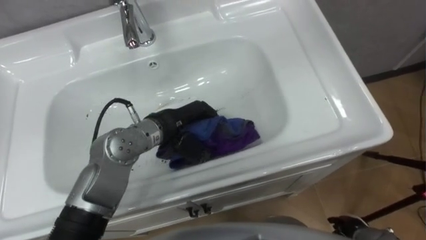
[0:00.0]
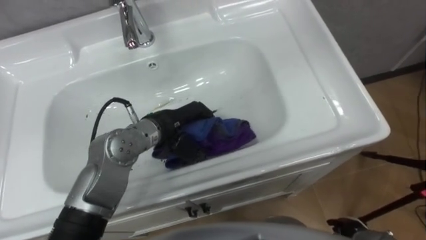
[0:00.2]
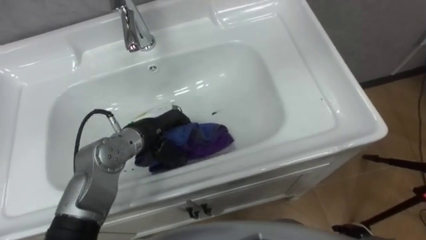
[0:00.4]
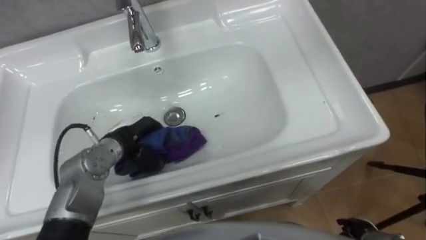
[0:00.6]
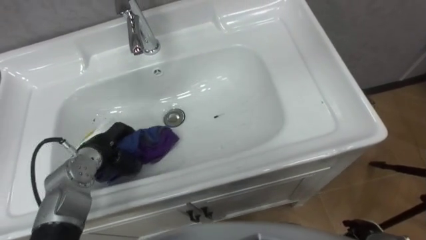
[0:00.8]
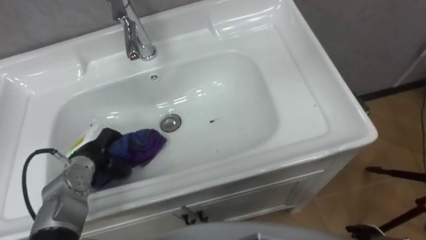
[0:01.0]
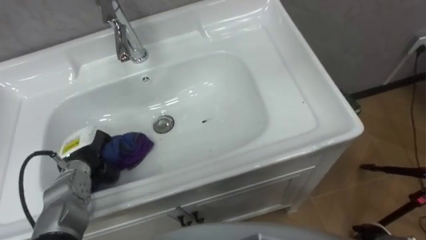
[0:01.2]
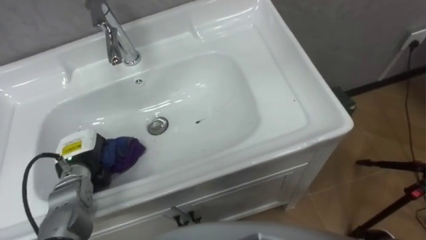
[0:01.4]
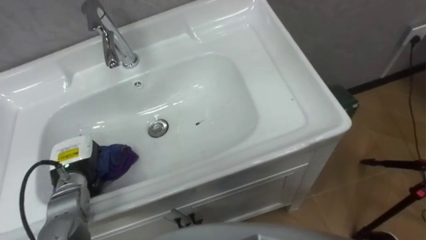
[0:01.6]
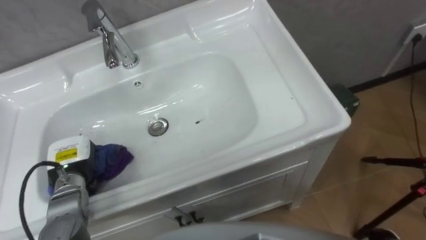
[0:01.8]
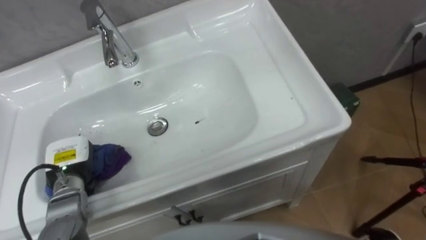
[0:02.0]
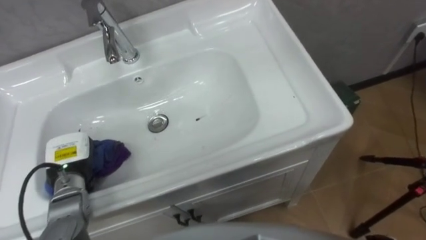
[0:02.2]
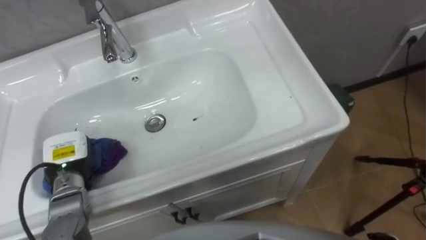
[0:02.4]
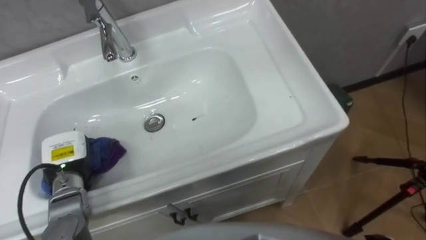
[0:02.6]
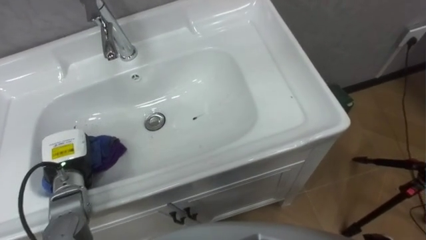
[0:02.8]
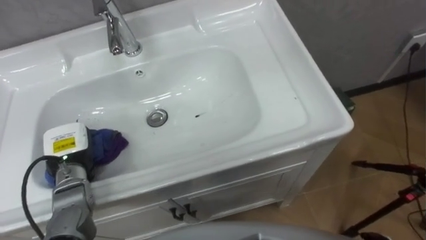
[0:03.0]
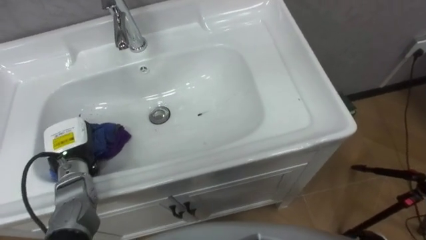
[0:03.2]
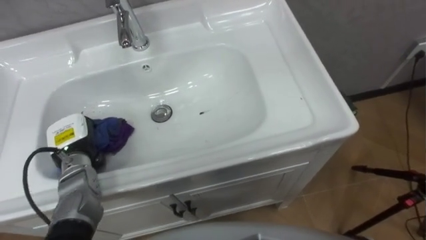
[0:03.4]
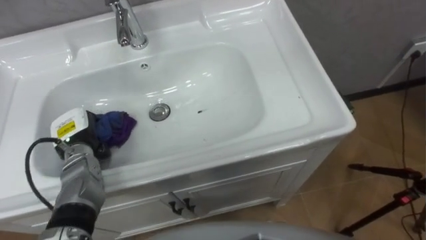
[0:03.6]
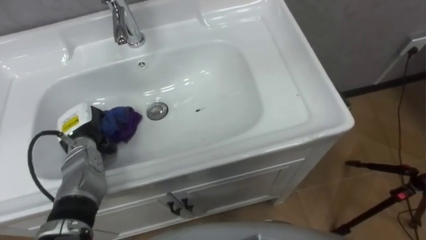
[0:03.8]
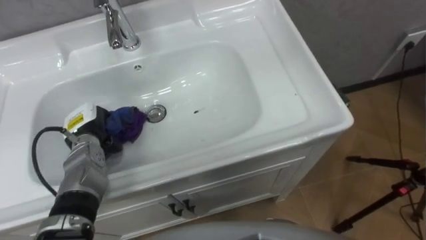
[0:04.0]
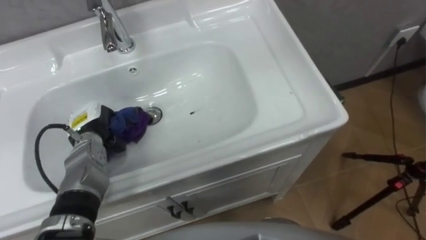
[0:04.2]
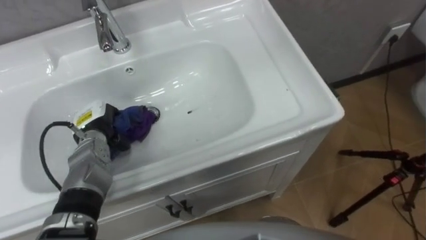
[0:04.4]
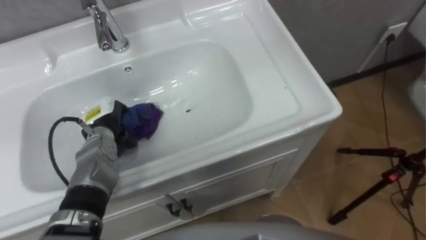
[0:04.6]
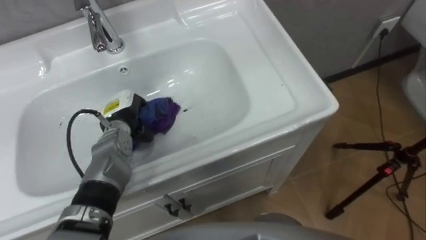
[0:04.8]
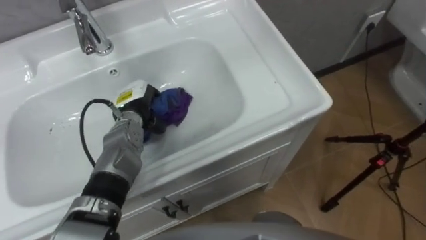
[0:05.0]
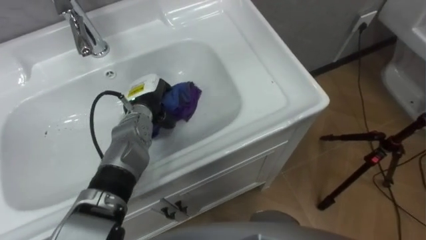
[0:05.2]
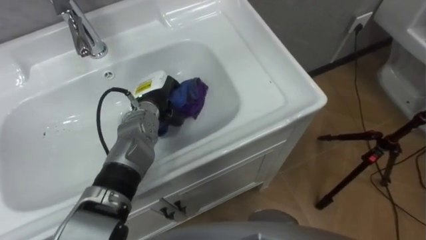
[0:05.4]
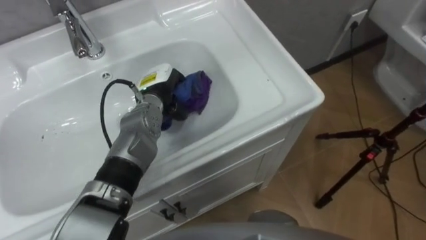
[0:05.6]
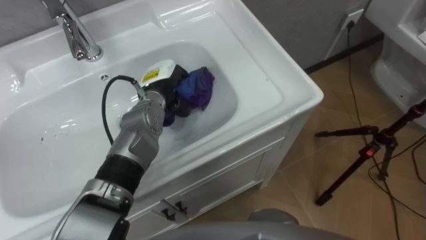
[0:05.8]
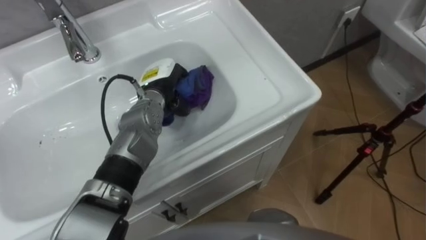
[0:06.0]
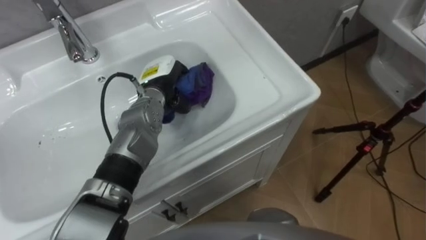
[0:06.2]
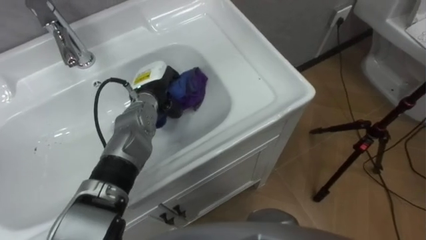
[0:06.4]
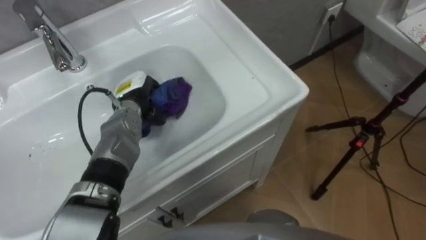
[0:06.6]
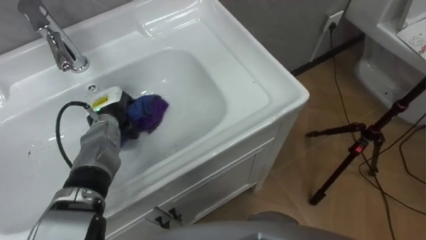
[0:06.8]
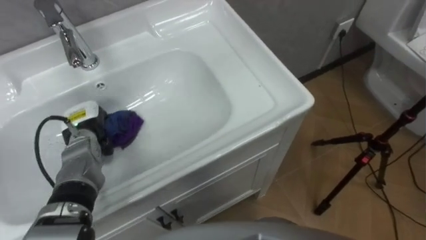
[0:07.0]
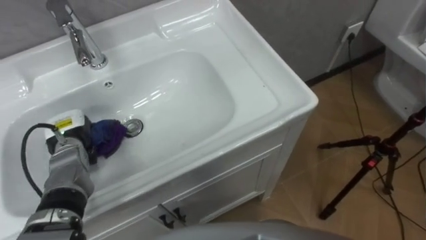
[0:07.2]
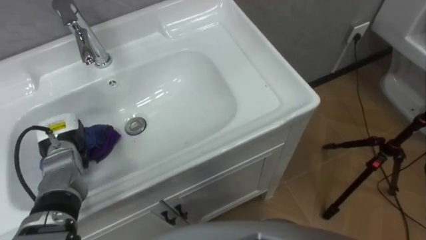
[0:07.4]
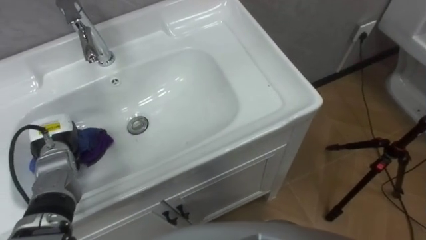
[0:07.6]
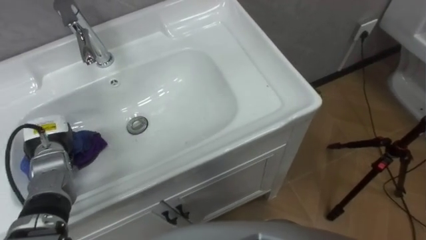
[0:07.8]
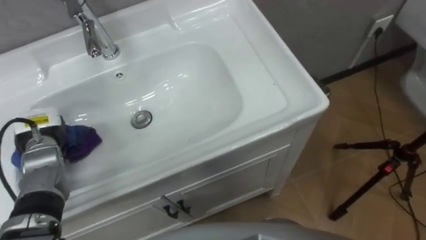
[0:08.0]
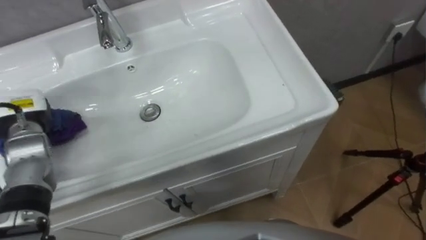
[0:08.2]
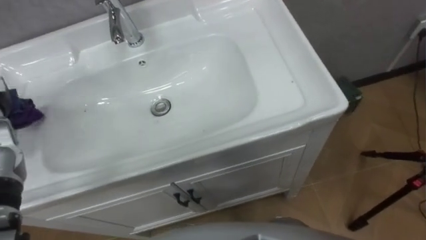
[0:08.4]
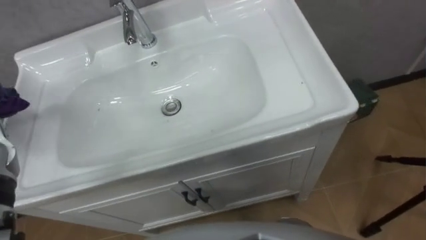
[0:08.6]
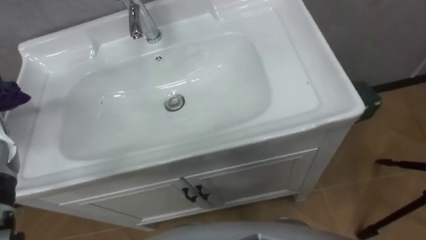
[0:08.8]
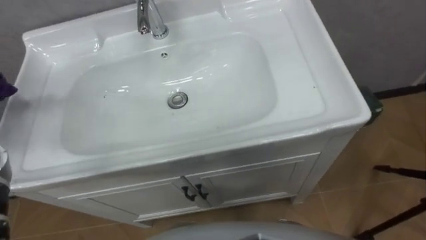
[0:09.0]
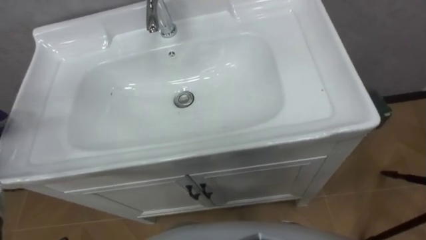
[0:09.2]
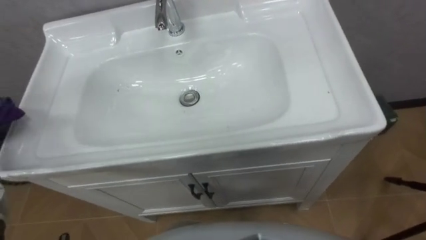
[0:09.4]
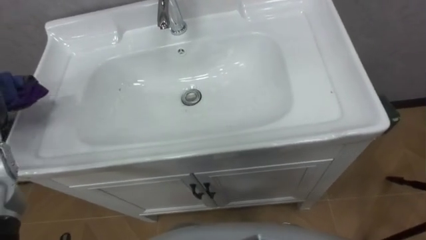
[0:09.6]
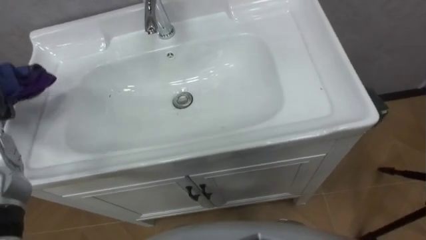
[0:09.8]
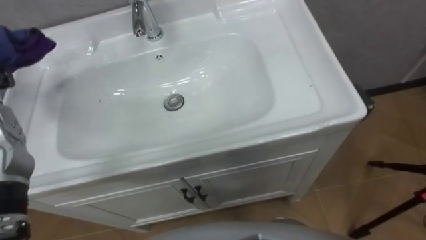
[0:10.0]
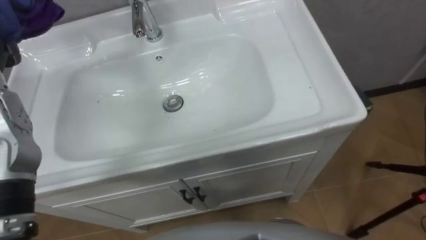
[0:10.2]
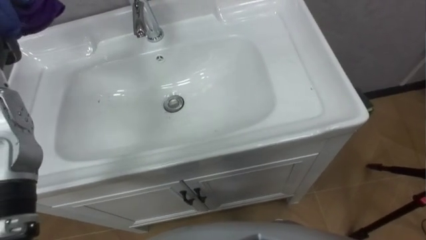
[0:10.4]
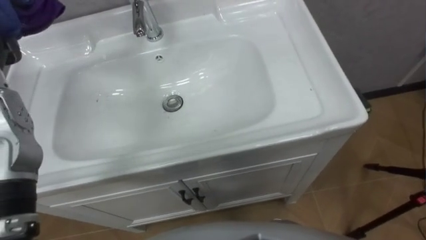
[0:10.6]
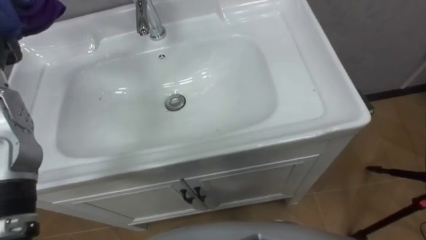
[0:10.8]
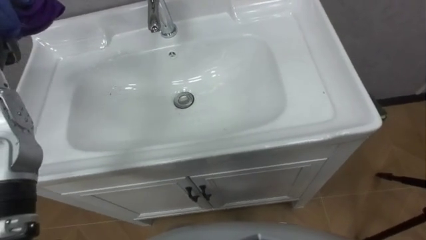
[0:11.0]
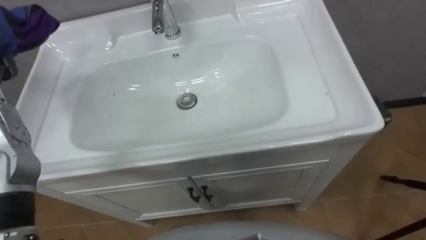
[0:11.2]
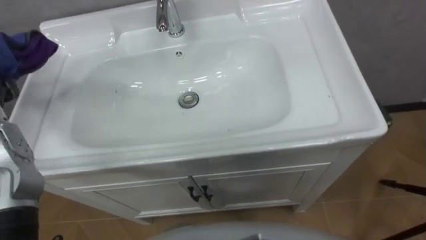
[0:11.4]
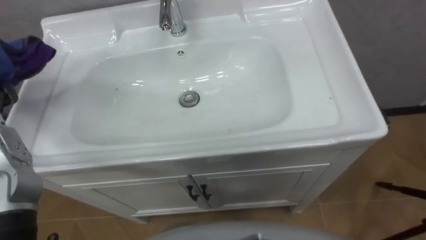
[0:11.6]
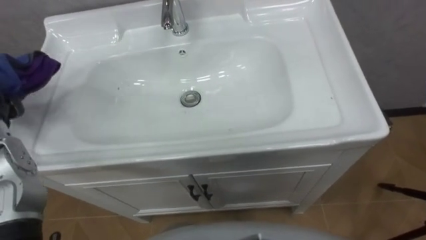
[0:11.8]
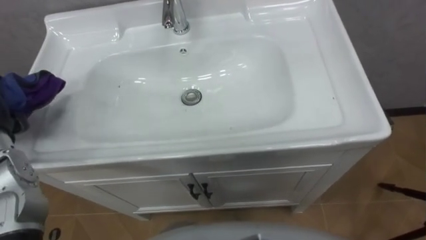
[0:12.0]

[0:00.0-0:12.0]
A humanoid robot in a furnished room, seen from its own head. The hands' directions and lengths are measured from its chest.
Task of the whole recording: Use the cloth on the right to wipe away the black stain in the sink.
0:00.0 to 0:01.6: The left hand shifts some 25 cm to the left and downward.
0:03.0 to 0:04.4: The left hand is displaced forward by about 5 cm.
0:04.4 to 0:06.0: The left hand heads to the right and forward, covering about 15 cm.
0:06.0 to 0:07.6: The left hand heads to the left and backward, covering approximately 25 cm.

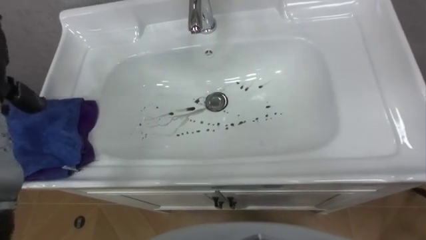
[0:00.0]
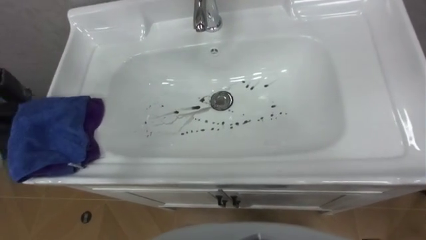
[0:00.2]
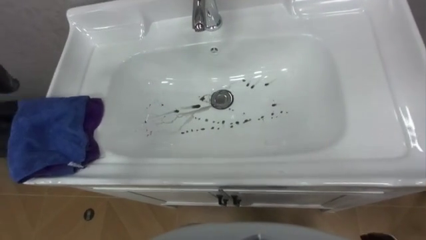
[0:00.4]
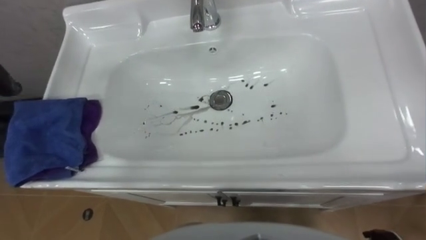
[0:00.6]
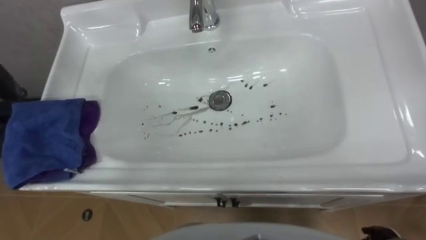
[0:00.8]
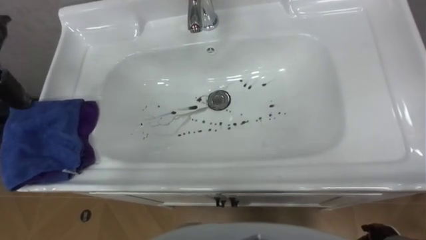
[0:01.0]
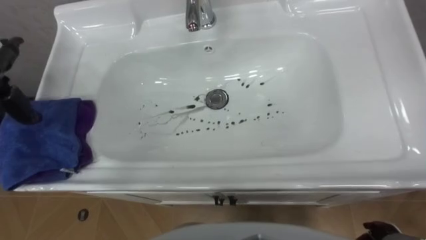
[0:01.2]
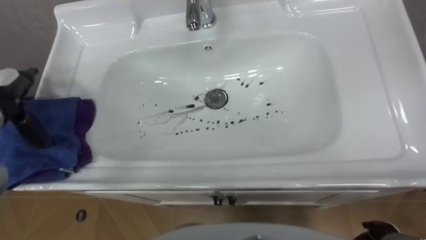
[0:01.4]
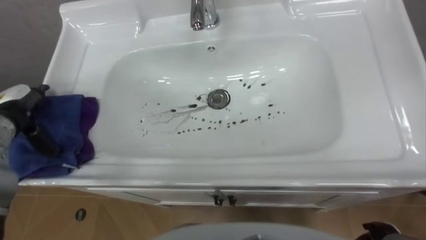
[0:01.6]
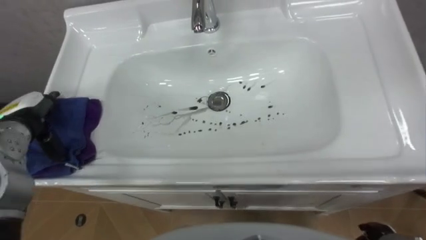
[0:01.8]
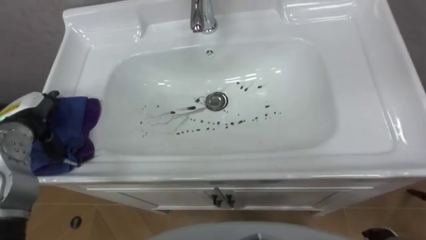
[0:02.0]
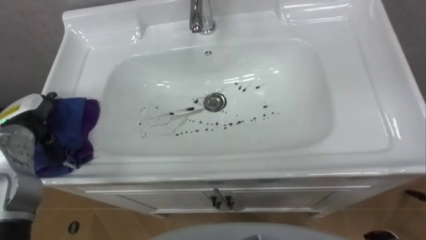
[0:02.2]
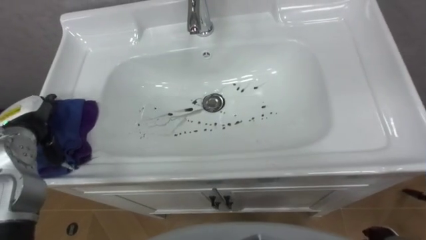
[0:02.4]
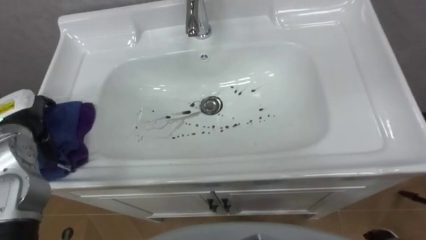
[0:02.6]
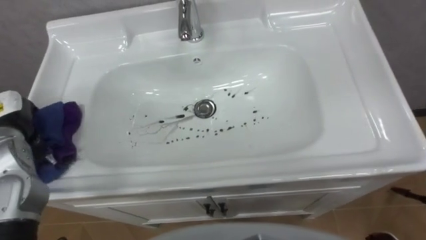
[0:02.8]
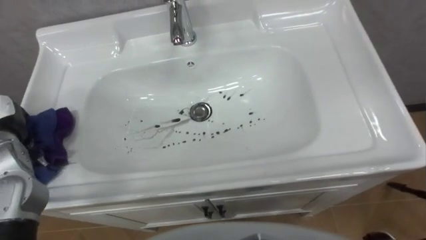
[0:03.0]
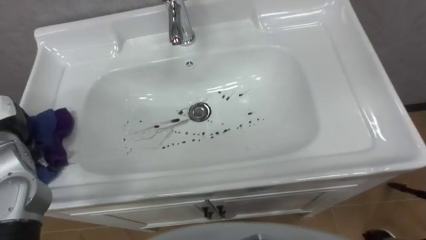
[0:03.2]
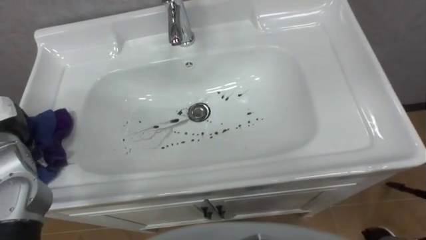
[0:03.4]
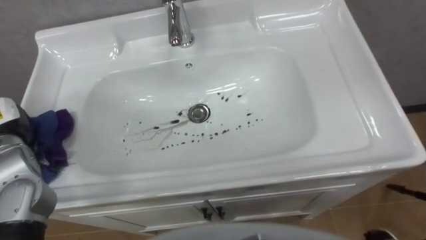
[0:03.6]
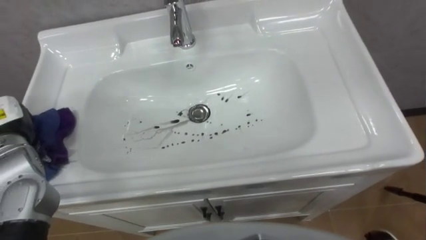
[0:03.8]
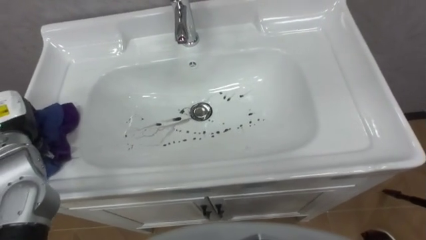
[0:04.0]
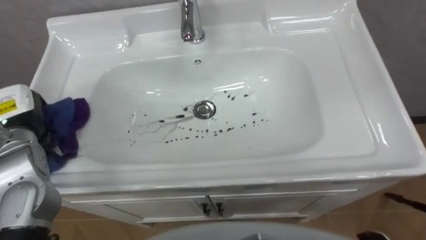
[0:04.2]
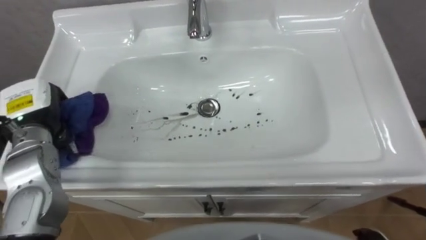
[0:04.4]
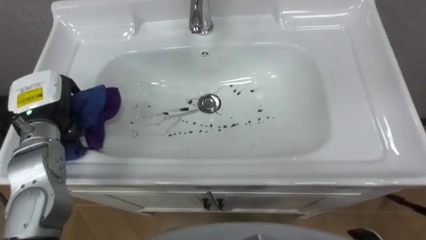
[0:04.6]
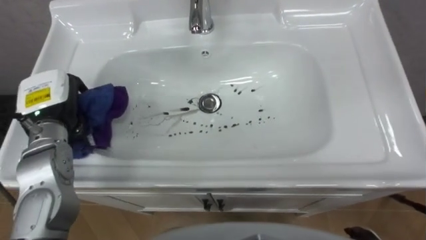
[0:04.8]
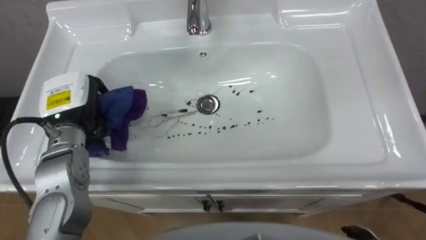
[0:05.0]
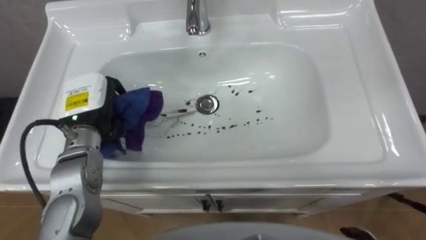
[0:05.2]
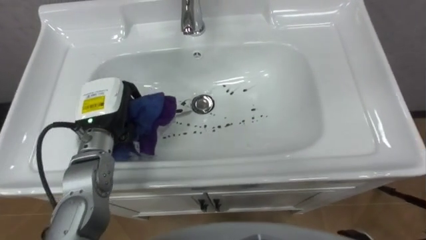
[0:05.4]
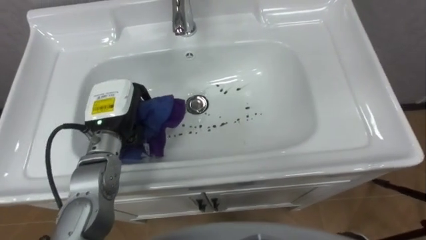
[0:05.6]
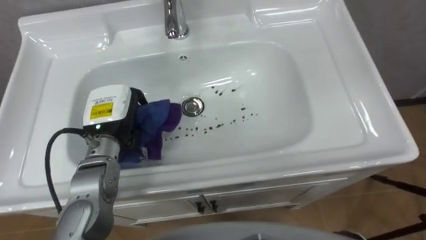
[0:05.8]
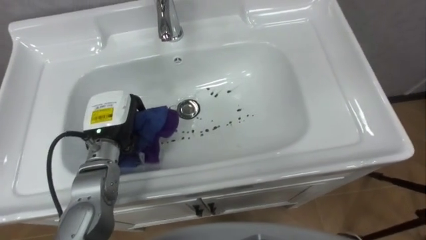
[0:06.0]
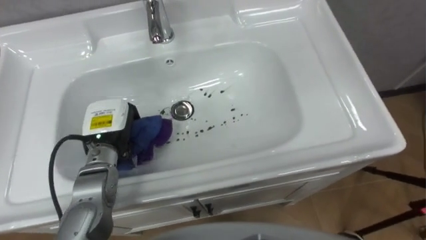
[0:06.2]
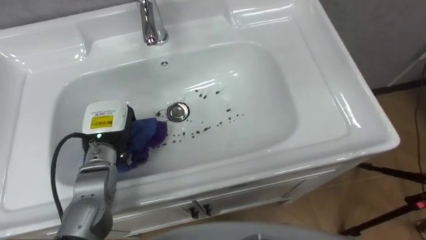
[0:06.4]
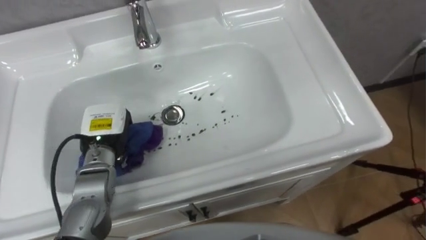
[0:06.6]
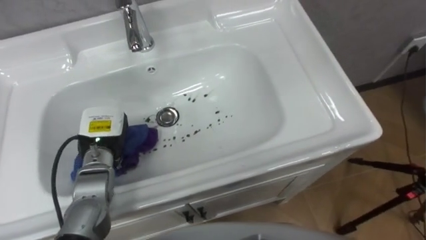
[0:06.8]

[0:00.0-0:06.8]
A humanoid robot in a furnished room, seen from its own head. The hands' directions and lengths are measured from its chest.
Task of the whole recording: Use the cloth on the right to wipe away the black stain in the sink.
0:05.4 to 0:06.8: The left hand shifts some 5 cm downward.
